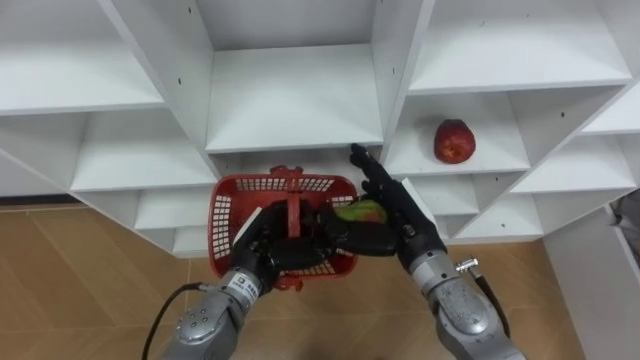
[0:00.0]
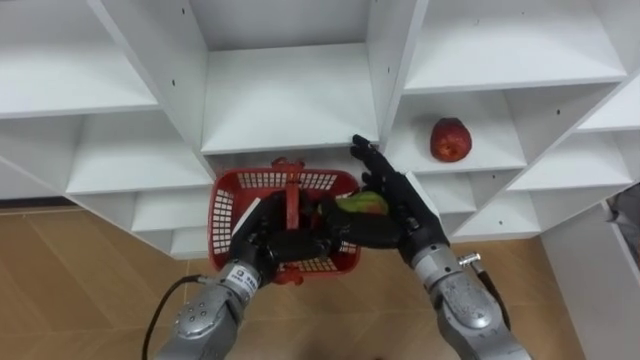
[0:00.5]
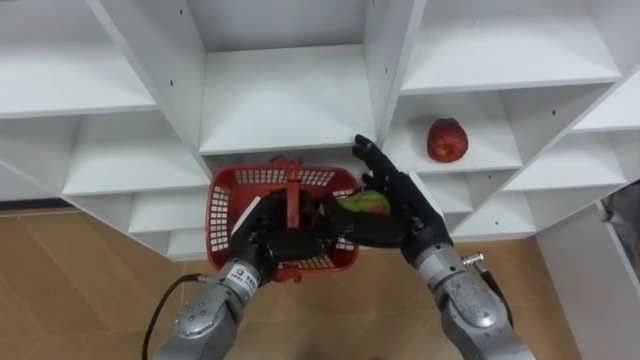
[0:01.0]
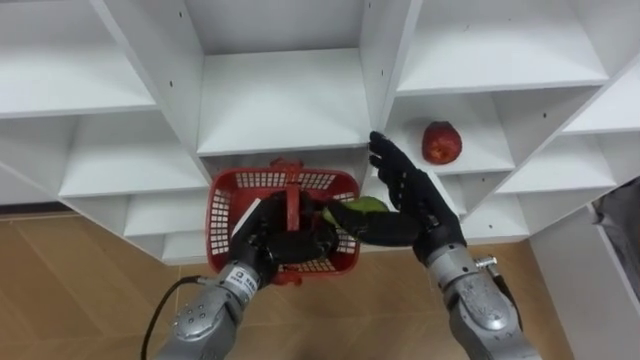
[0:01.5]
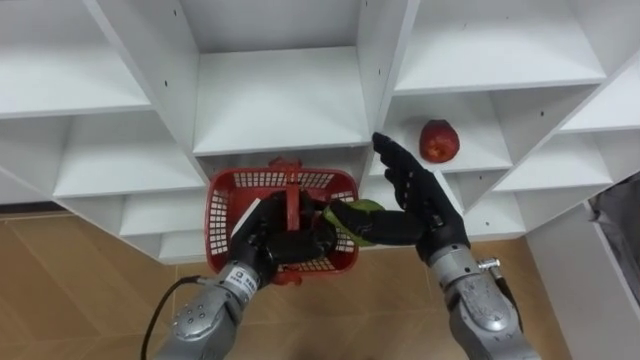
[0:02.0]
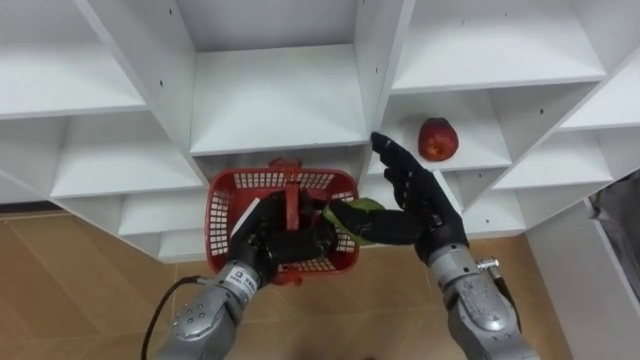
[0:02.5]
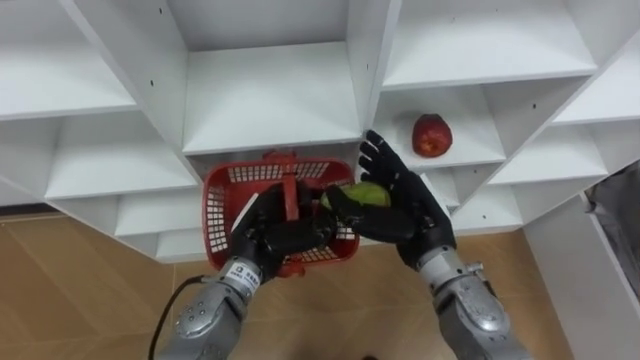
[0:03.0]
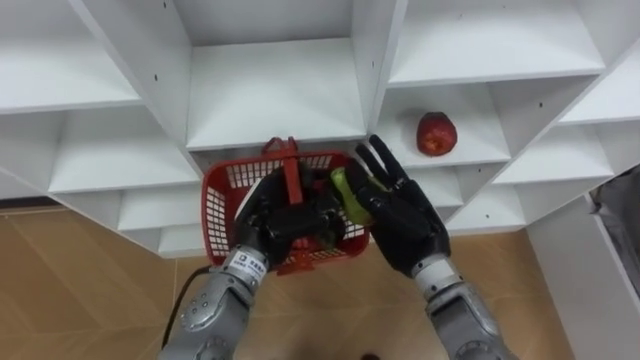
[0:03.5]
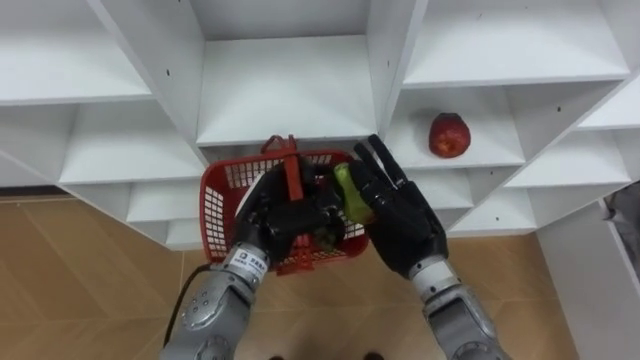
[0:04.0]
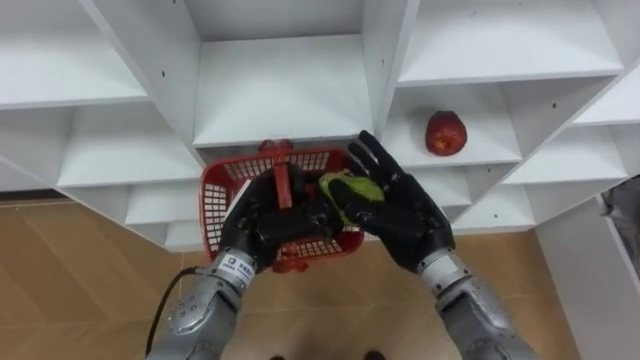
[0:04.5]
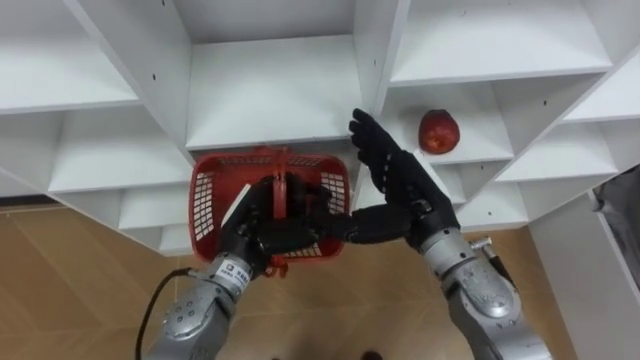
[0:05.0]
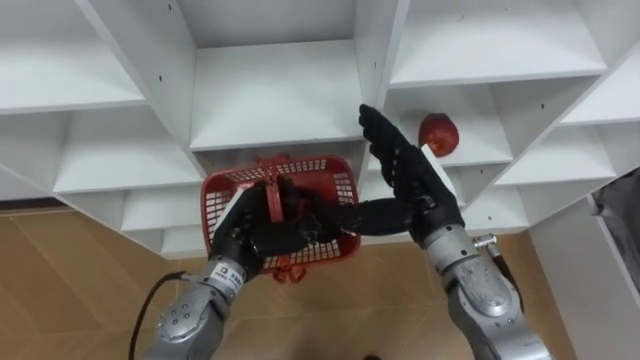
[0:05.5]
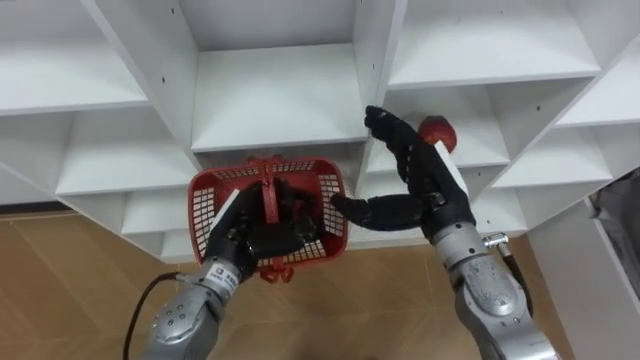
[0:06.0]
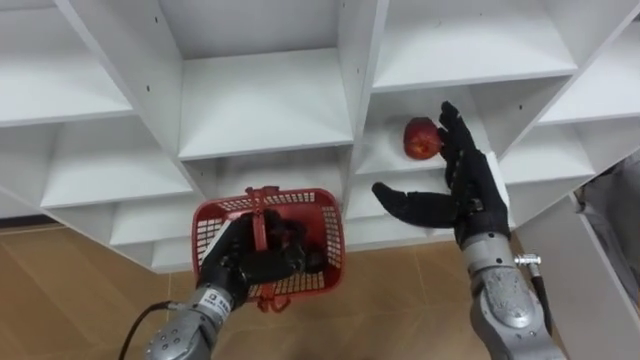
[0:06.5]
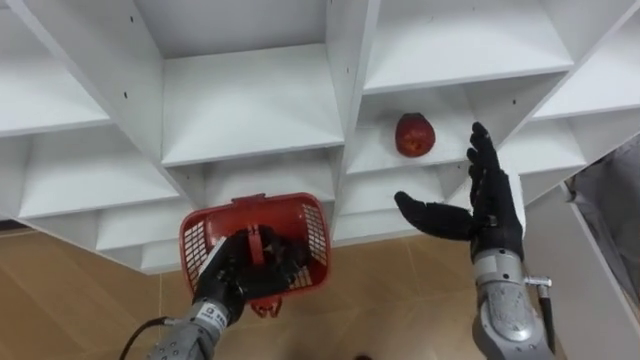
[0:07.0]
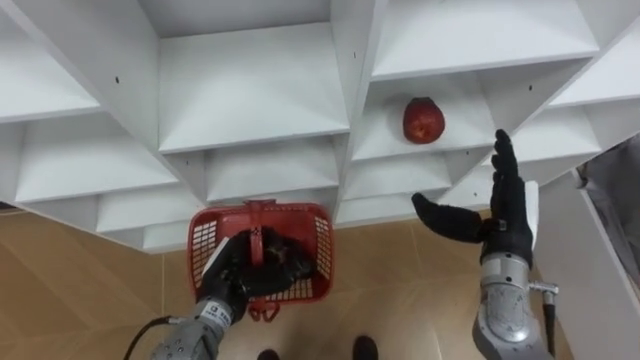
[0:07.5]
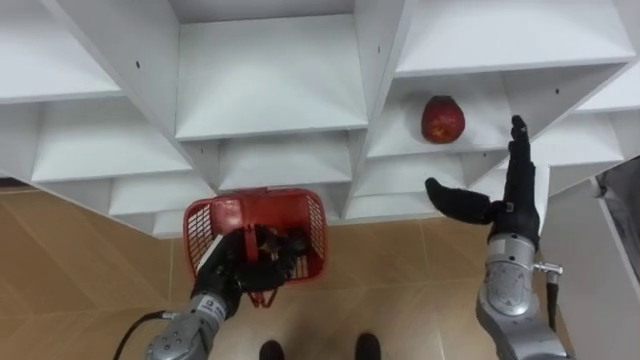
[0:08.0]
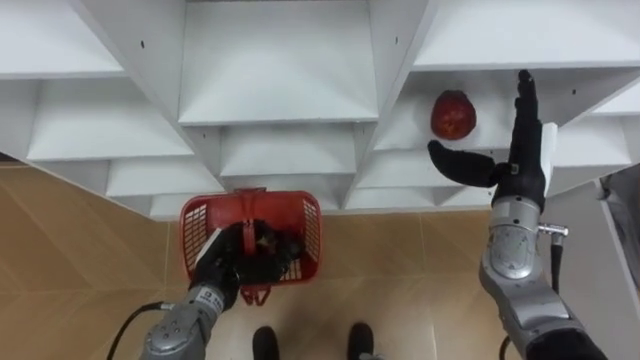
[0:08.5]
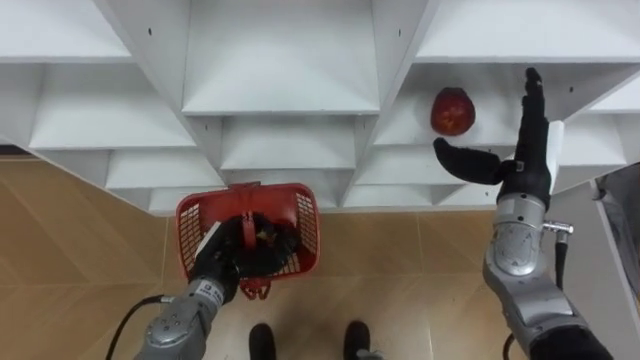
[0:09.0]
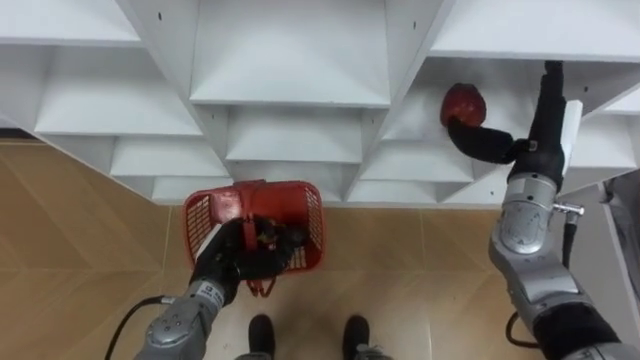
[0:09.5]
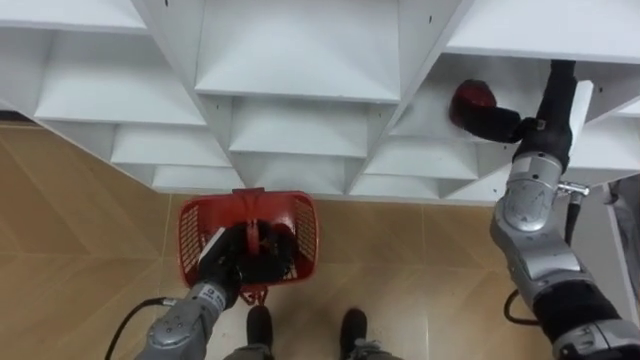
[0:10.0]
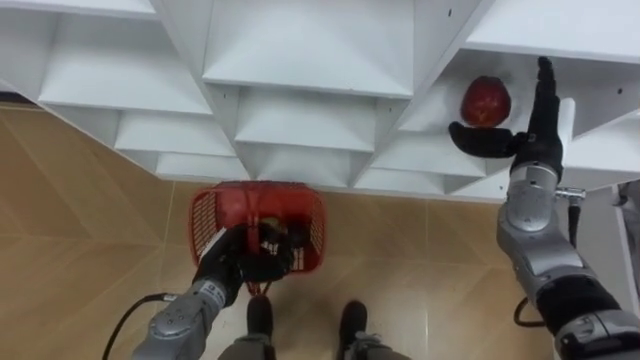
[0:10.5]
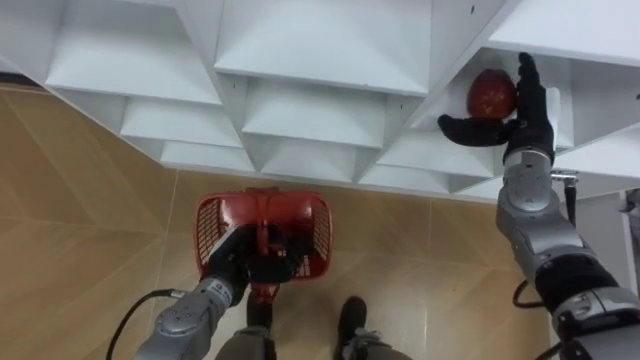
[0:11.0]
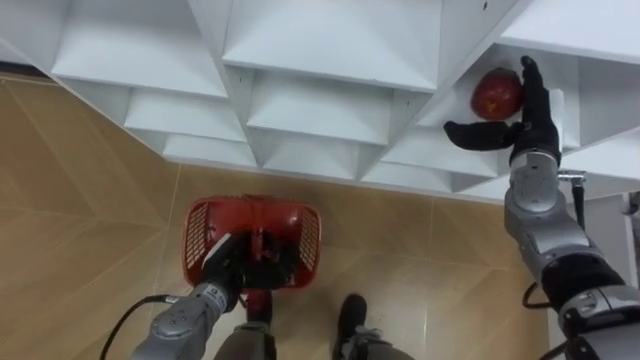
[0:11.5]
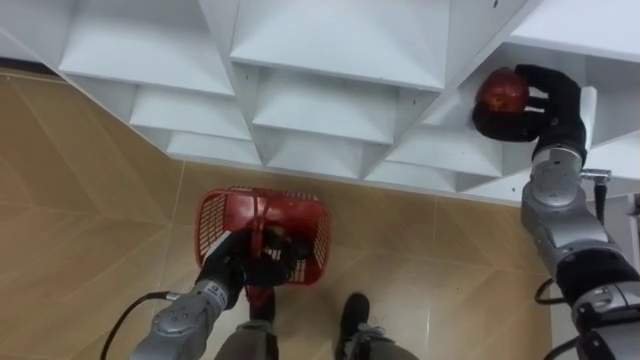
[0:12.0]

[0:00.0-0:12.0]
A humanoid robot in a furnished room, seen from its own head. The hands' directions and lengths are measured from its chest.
Task of the whole recording: Hold the basket and collect the fruits from 3 different cells of the closet into it.
0:04.0 to 0:06.0: The left hand moves roughly 5 cm; the right hand changes place by roughly 5 cm.
0:06.0 to 0:08.0: The right hand is displaced to the right by roughly 10 cm, while the left hand moves downward, approximately 5 cm.
0:08.0 to 0:10.0: The right hand moves upward and forward, some 10 cm.
0:10.0 to 0:12.0: The right hand closes.

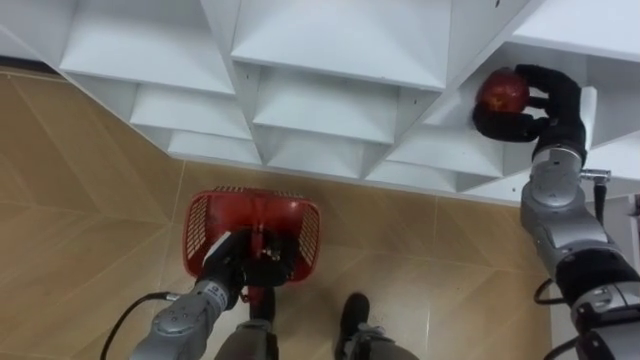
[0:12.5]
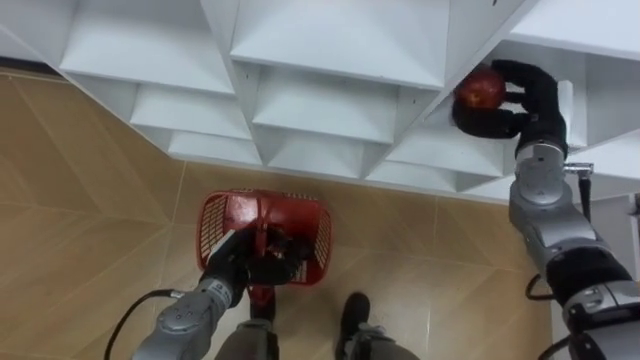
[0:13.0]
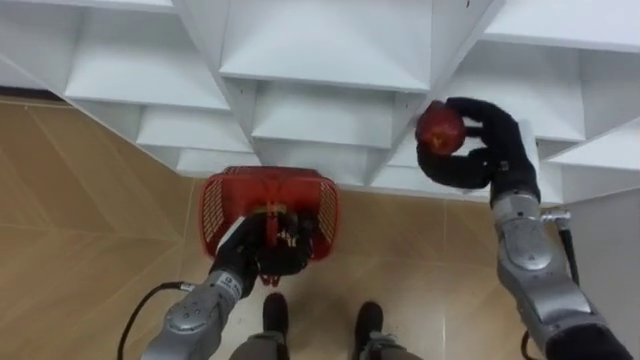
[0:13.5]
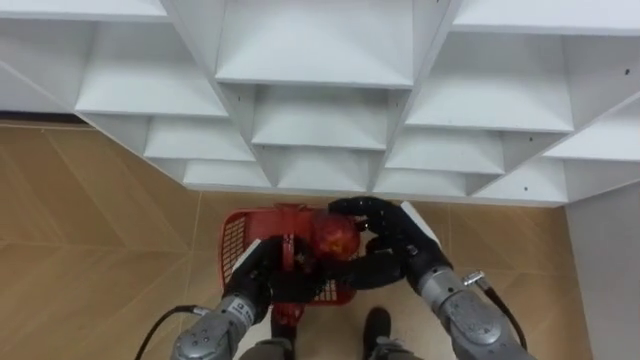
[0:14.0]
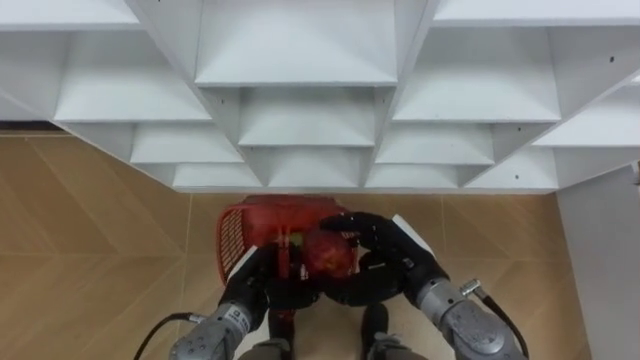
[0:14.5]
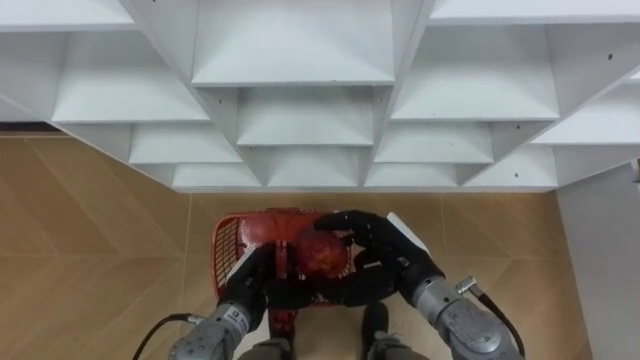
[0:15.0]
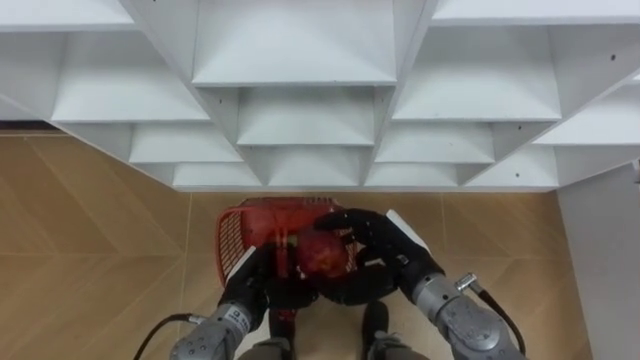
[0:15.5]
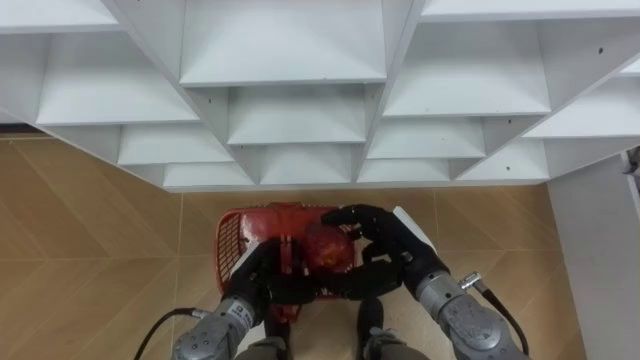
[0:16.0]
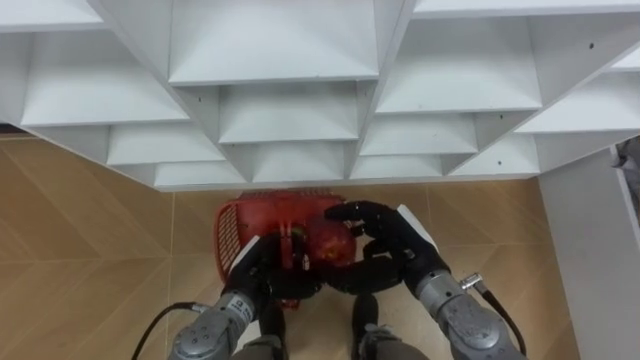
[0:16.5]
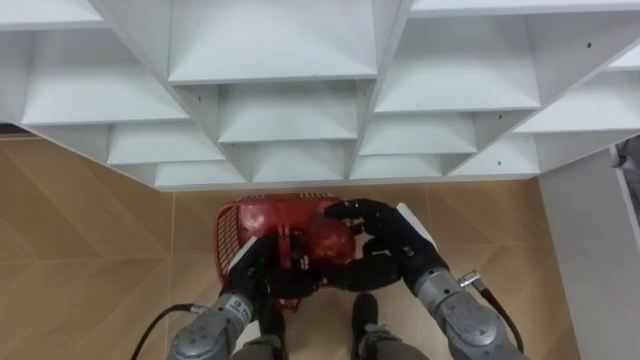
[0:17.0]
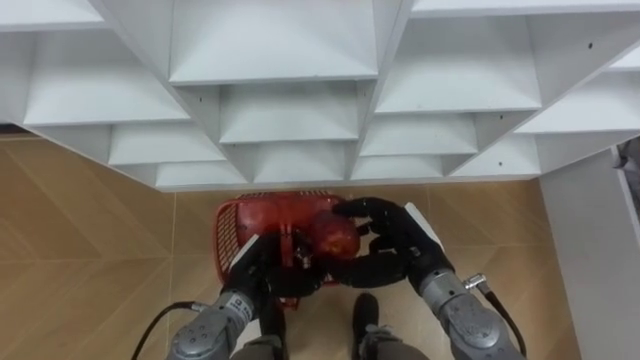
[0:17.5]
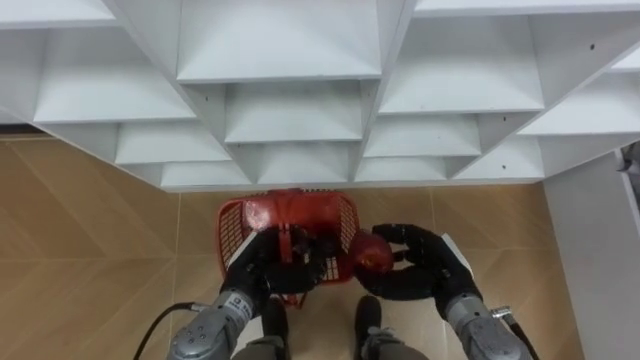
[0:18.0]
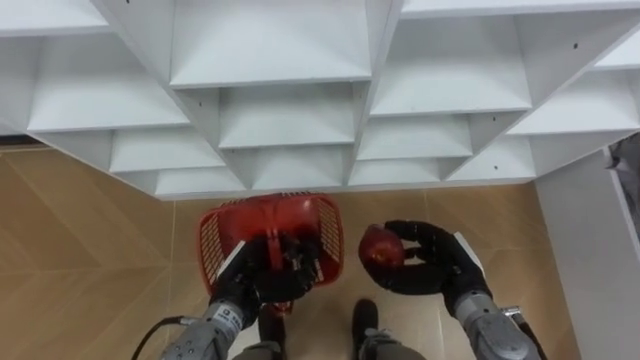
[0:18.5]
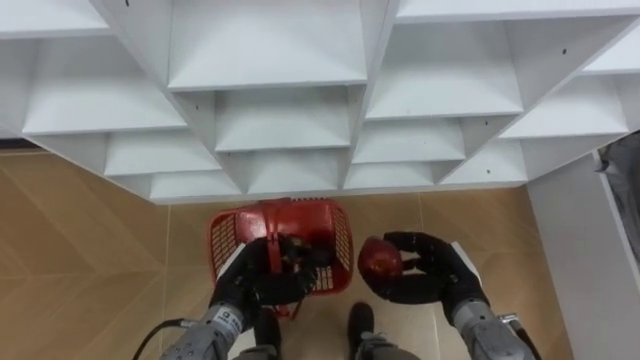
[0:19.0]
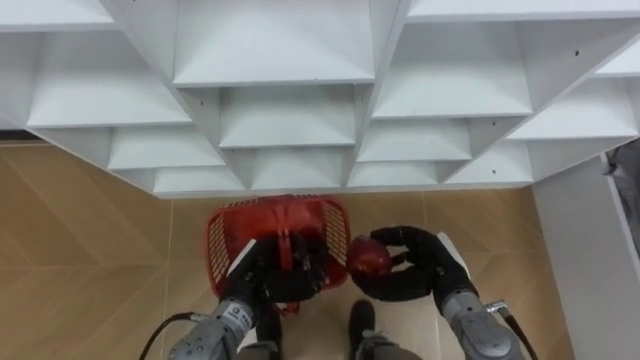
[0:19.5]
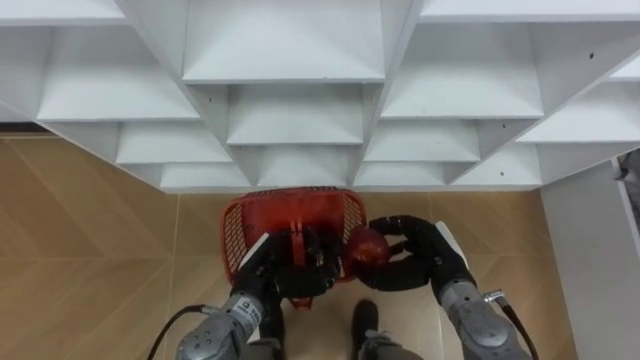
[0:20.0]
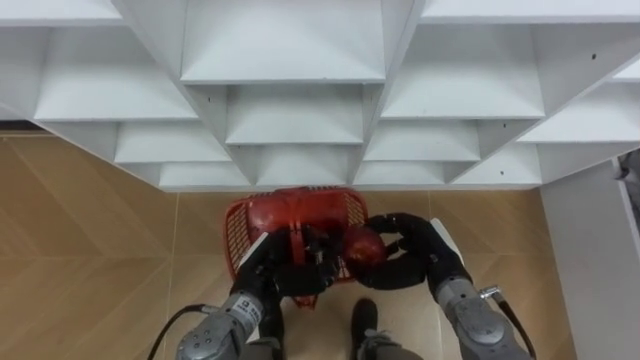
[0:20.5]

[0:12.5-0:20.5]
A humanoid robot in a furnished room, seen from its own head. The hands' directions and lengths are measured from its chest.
Task of the whole recording: Hold the basket and collect the fruits from 3 different cells of the closet into it.
0:12.5 to 0:14.5: The left hand ends up roughly 5 cm from where it was. The right hand is displaced to the left, backward and downward by roughly 25 cm.
0:16.5 to 0:18.5: The right hand goes about 10 cm to the right and downward.
